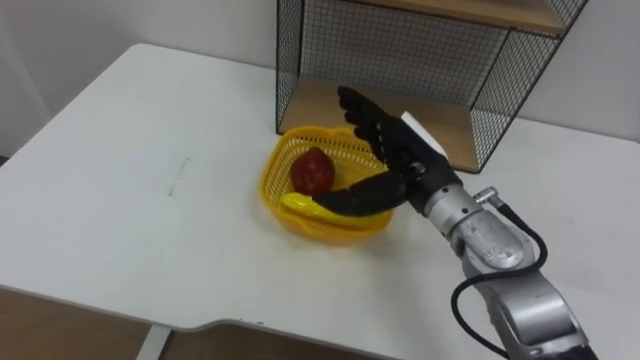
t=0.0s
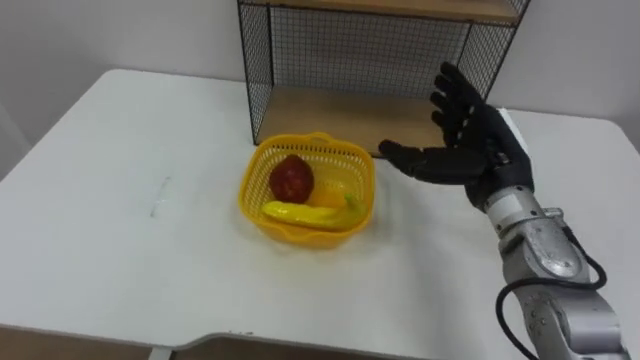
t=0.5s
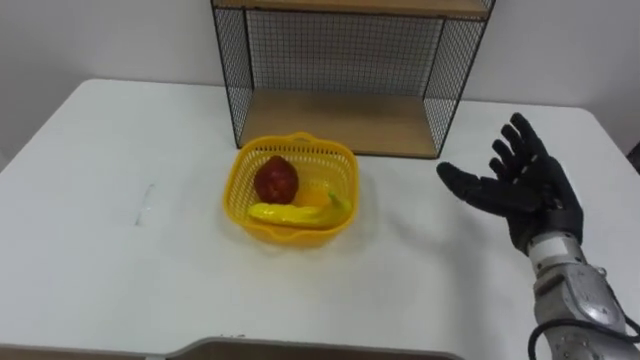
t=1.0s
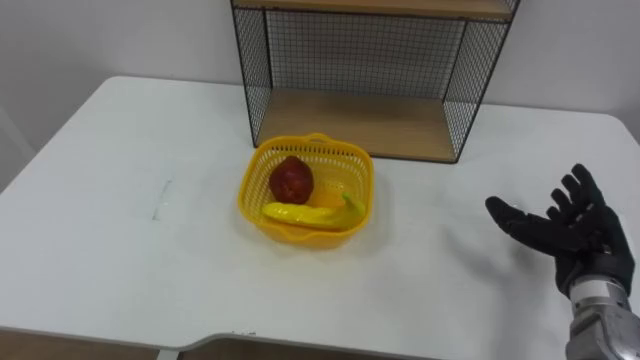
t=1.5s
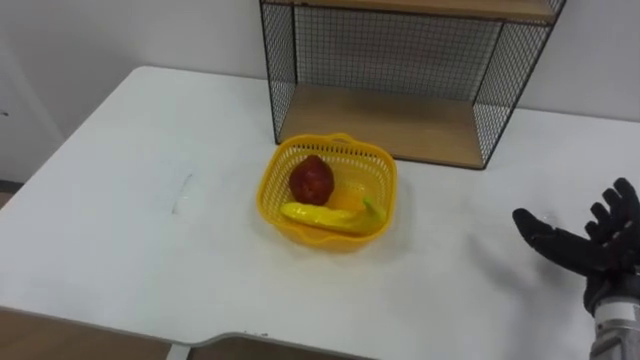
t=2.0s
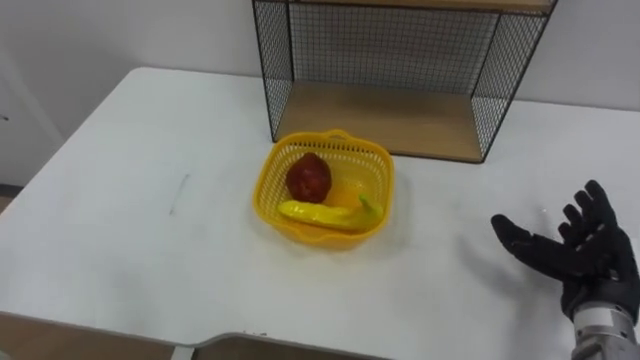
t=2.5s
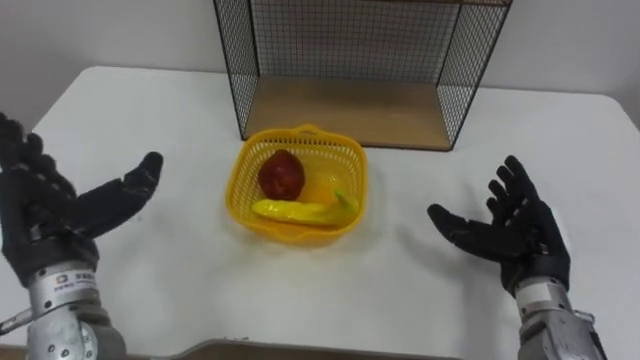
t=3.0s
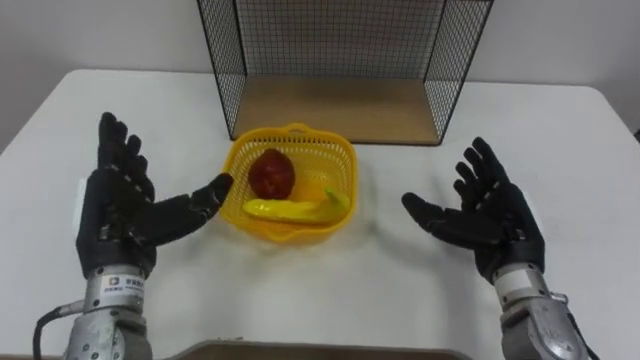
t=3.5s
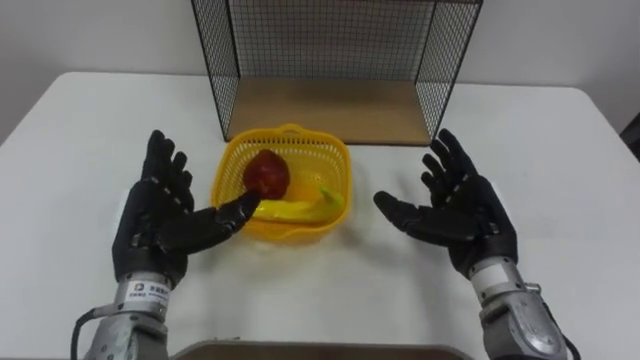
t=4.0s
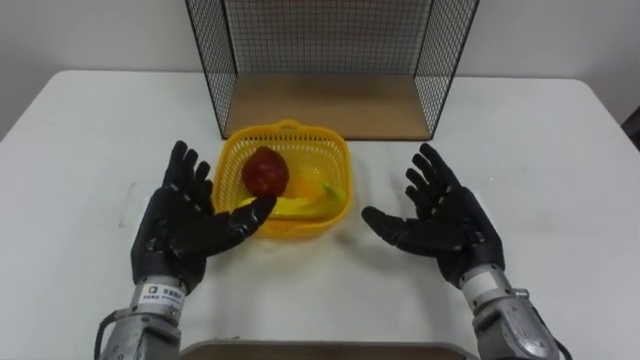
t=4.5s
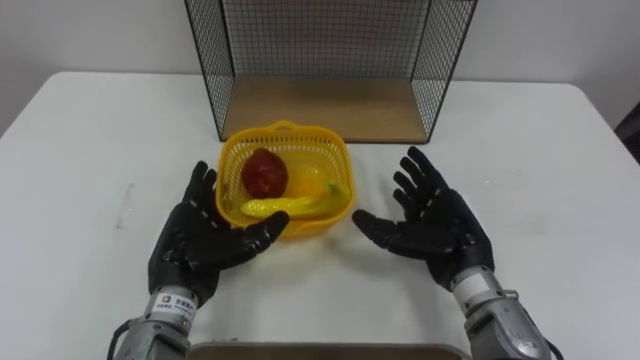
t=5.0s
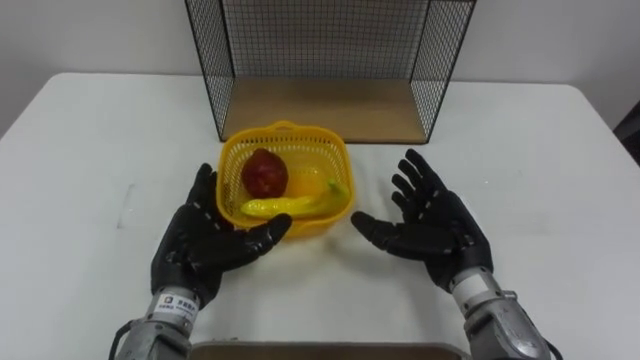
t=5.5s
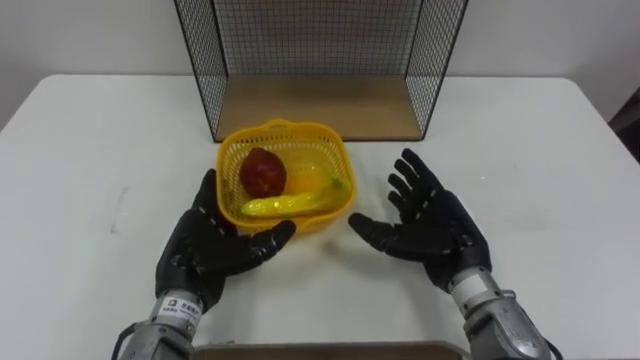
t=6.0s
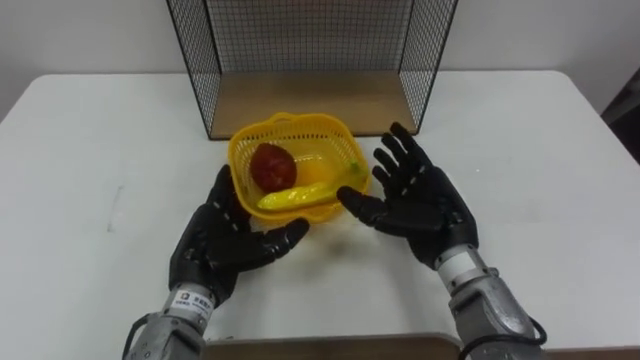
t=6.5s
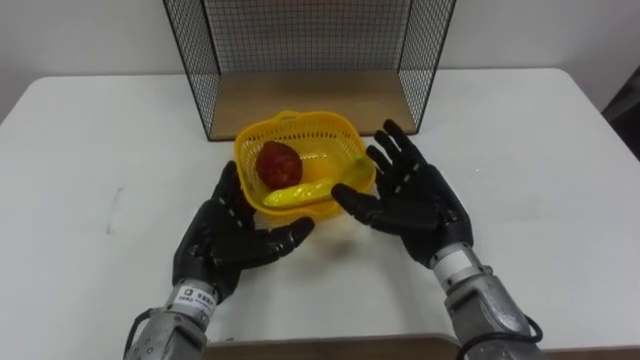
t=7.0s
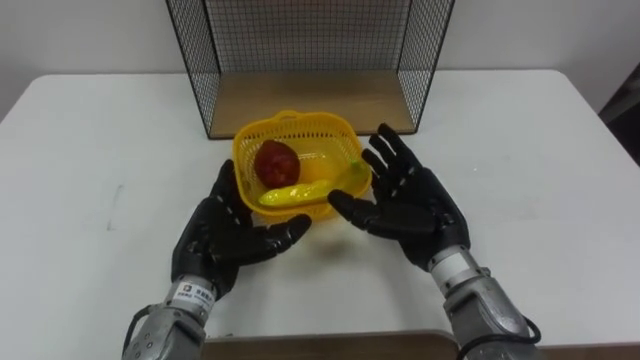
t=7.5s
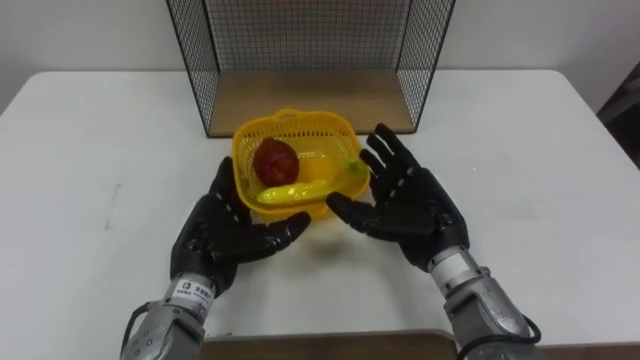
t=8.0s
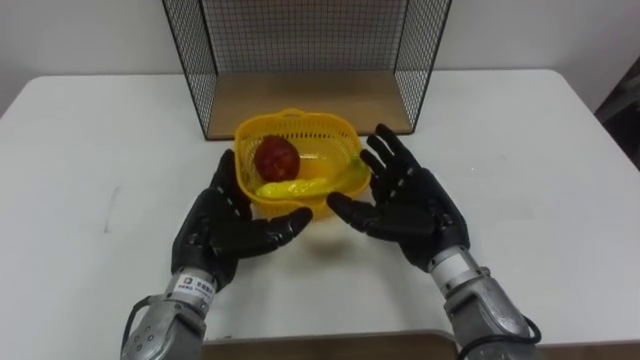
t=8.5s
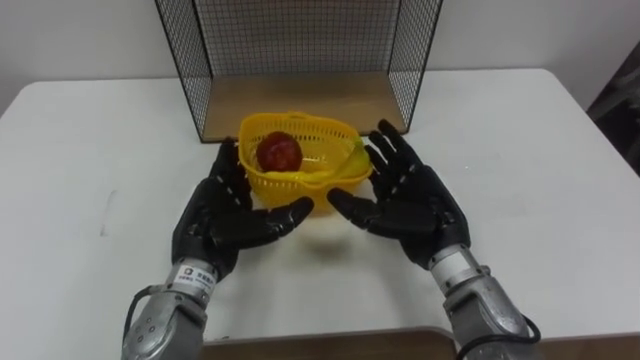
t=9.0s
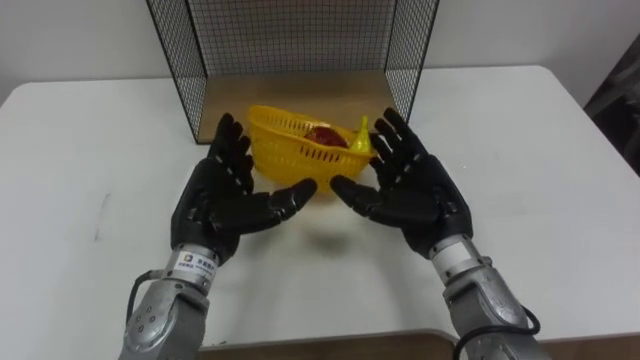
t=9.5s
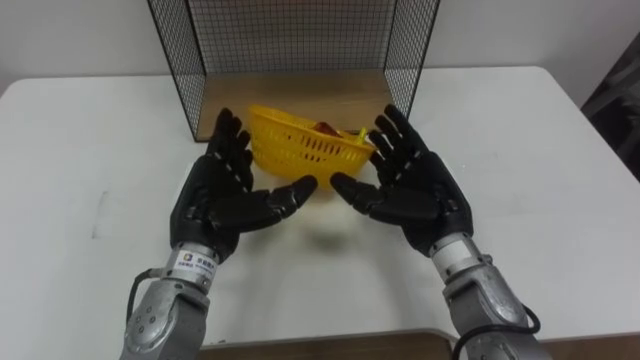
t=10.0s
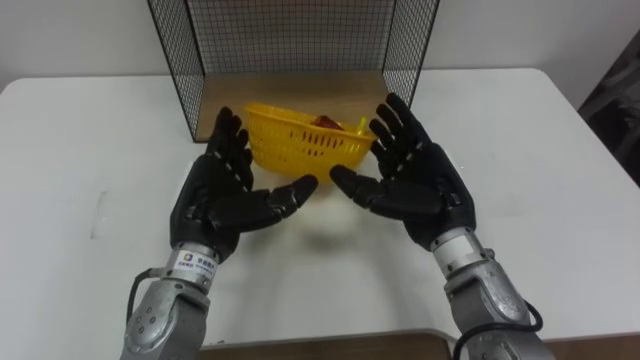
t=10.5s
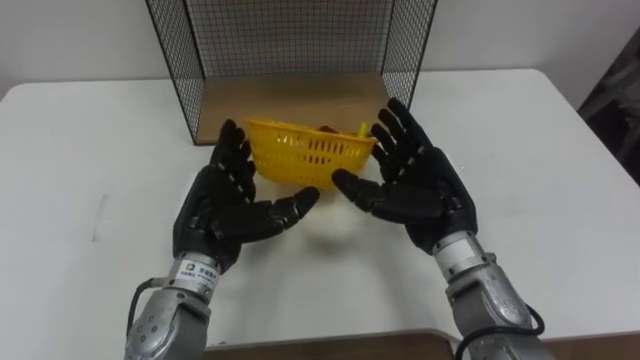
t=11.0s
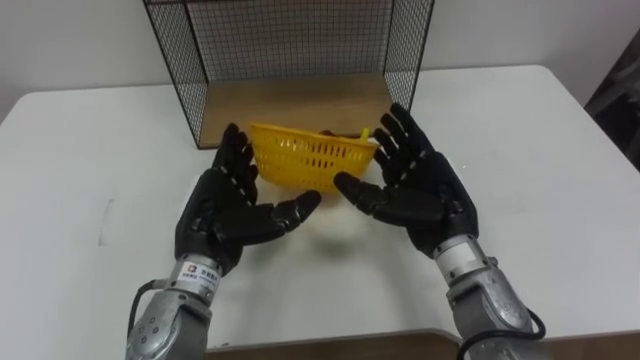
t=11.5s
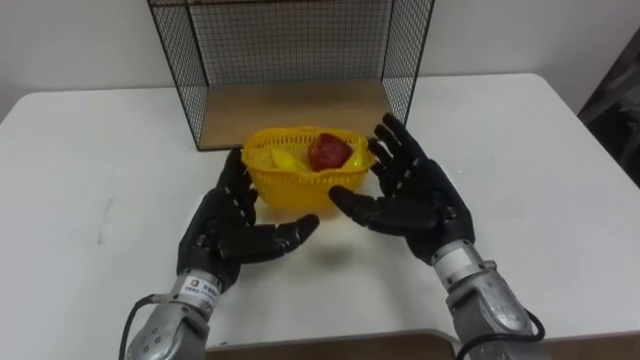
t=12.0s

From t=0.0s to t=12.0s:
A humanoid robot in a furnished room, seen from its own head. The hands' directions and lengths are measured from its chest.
Task of the whole recording: Put the fruit on the table into the basket, then place the basket on the shelf.
From t=0.0s to t=2.0s: The right hand travels to the right and backward by about 25 cm.
From t=2.0s to t=4.0s: The right hand heads to the left and forward, covering roughly 15 cm.
From t=4.0s to t=6.0s: The left hand moves roughly 5 cm.
From t=6.0s to t=8.0s: The hands stay close to where they were, moving slightly.
From t=8.0s to t=10.0s: The left hand changes place by about 5 cm.
From t=10.0s to t=12.0s: The hands make only small movements.

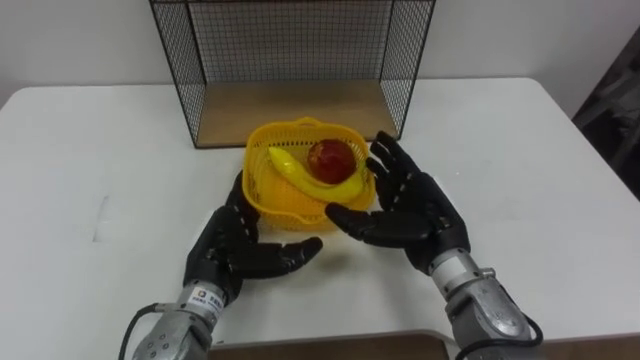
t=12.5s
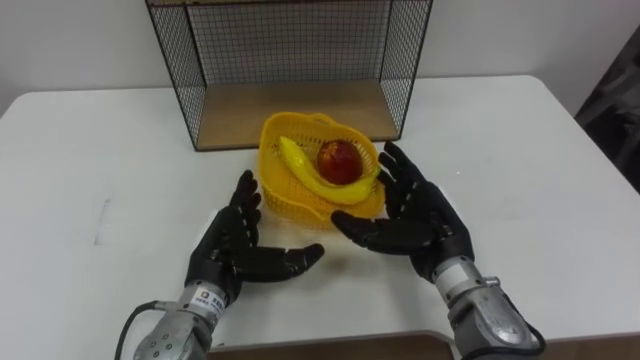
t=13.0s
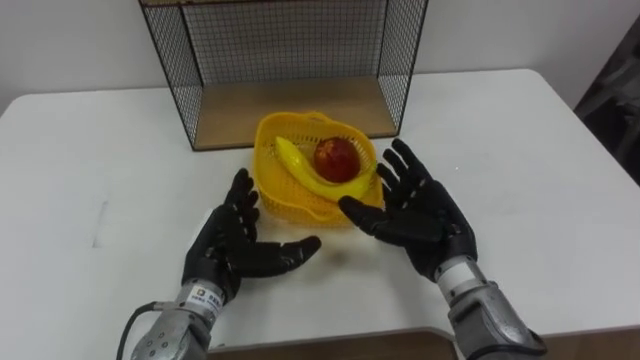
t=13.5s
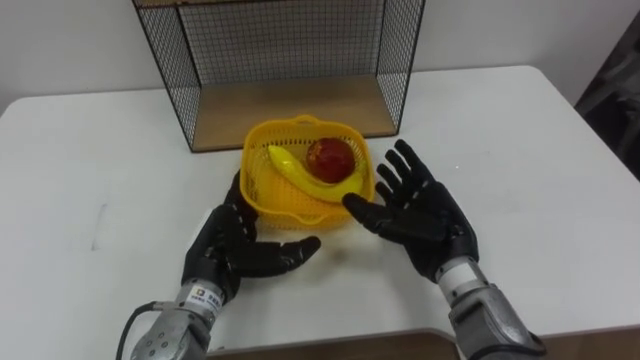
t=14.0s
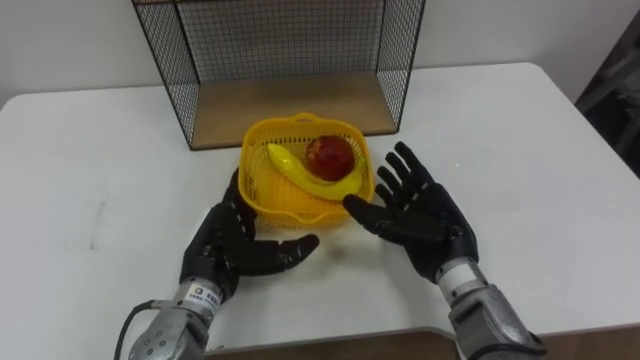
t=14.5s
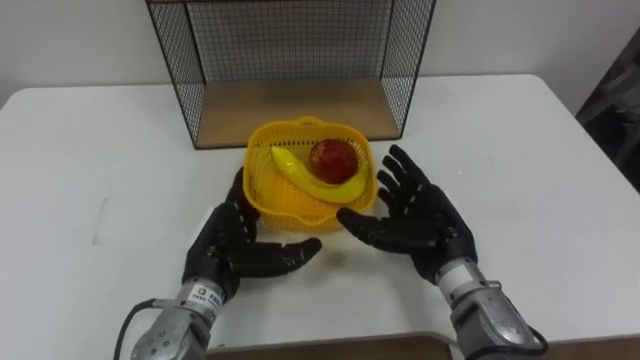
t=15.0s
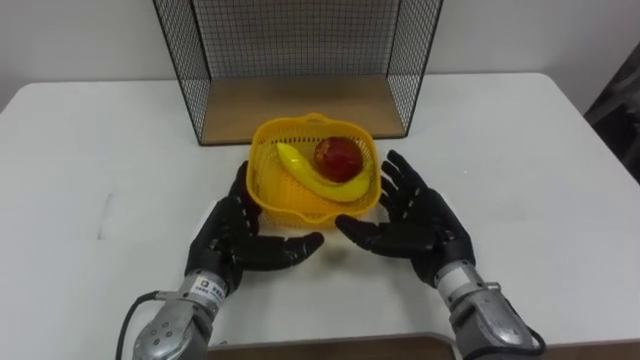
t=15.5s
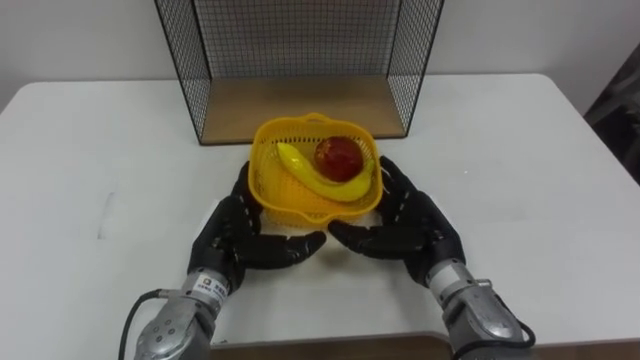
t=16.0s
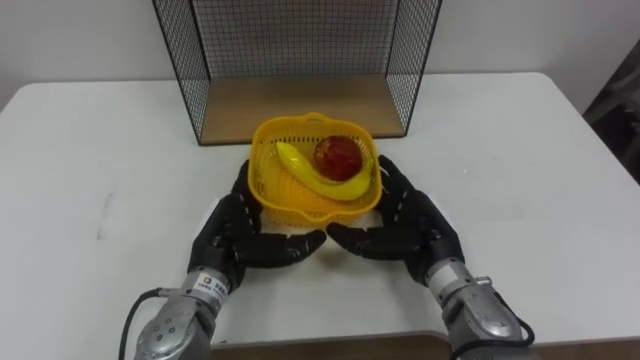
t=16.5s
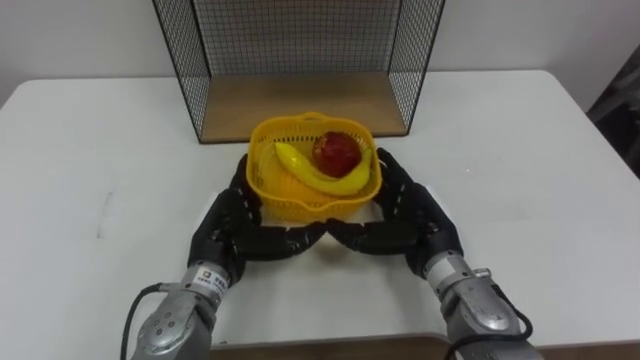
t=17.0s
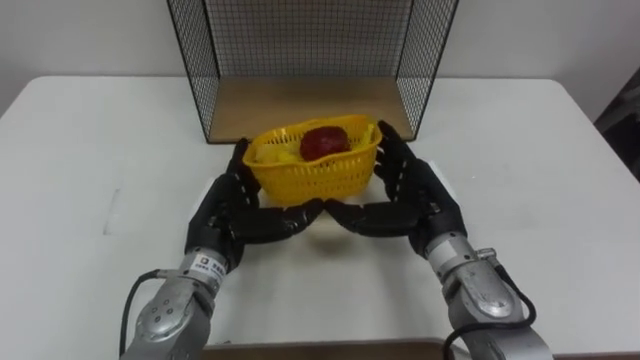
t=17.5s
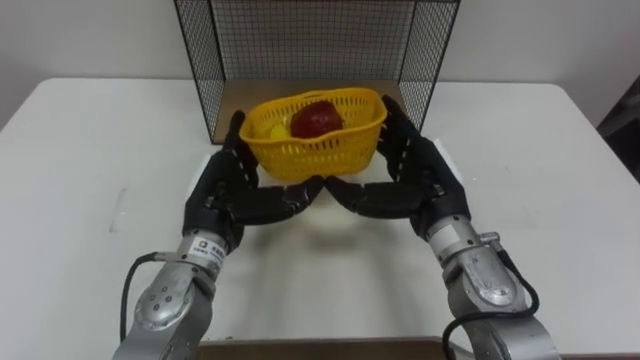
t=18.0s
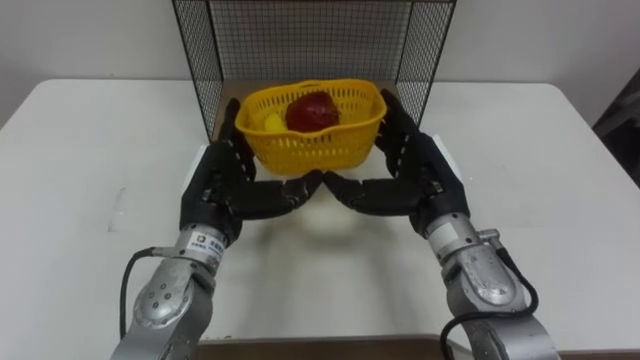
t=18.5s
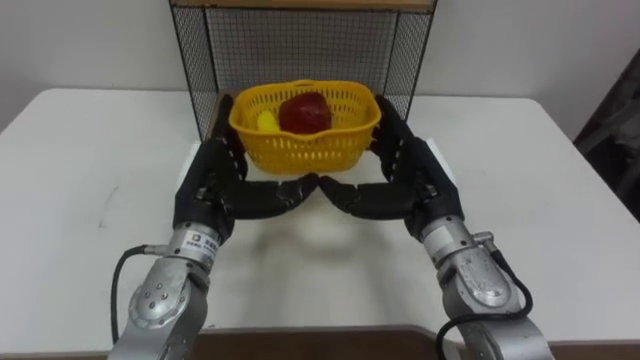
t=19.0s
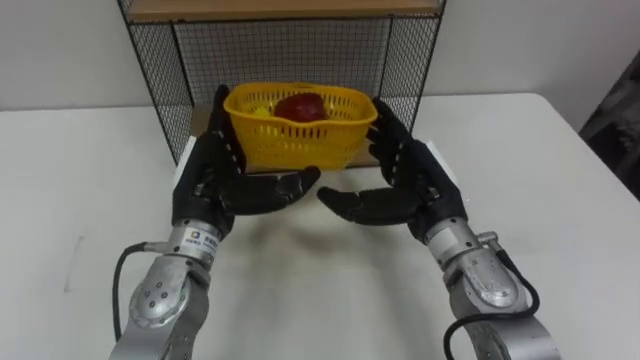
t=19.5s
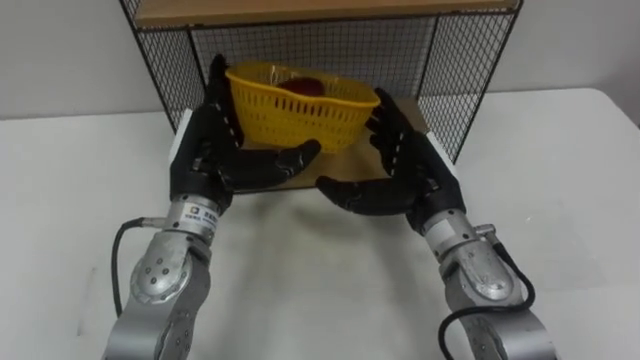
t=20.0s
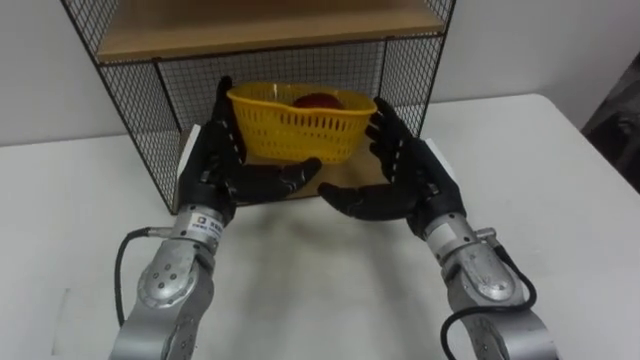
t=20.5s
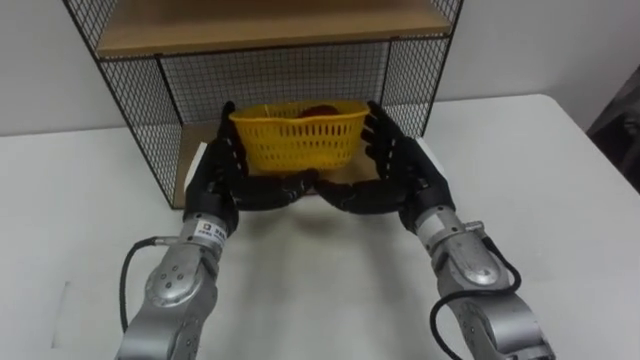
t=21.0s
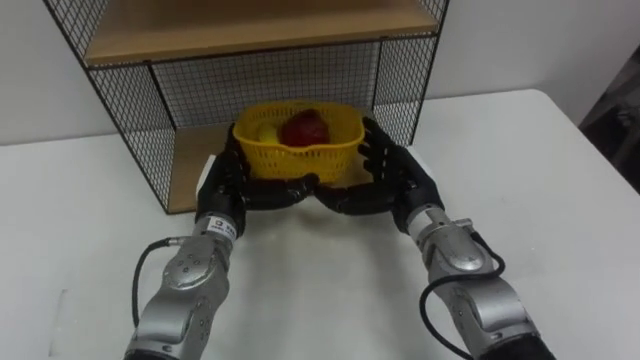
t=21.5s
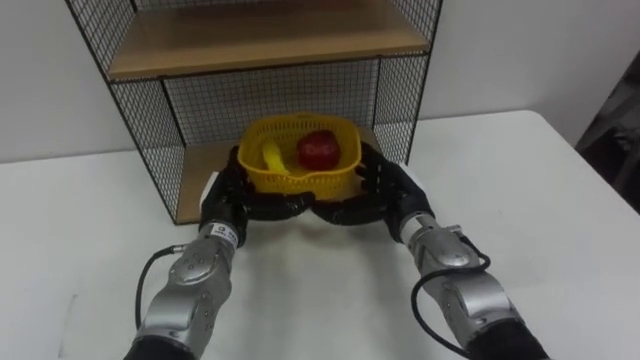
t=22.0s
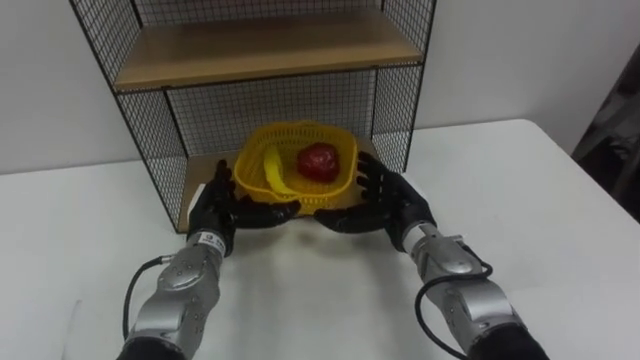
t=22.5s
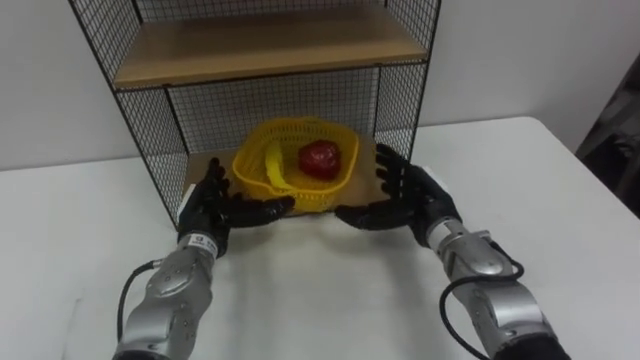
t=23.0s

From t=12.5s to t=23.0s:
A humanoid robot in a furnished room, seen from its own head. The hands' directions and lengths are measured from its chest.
Task of the whole recording: Put the fruit on the table into the basket, then place the basket on the shelf.
From t=12.5s to t=16.5s: The hands stay close to where they were, moving slightly.
From t=16.5s to t=19.0s: The two hands go approximately 5 cm upward.
From t=21.0s to t=23.0s: The two hands go approximately 5 cm downward.
